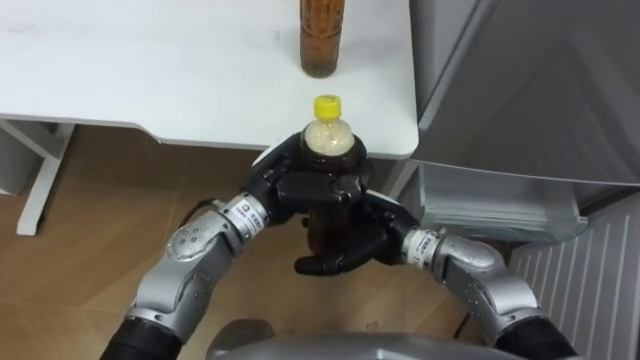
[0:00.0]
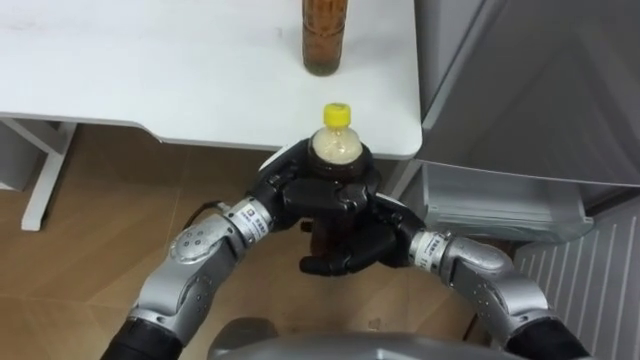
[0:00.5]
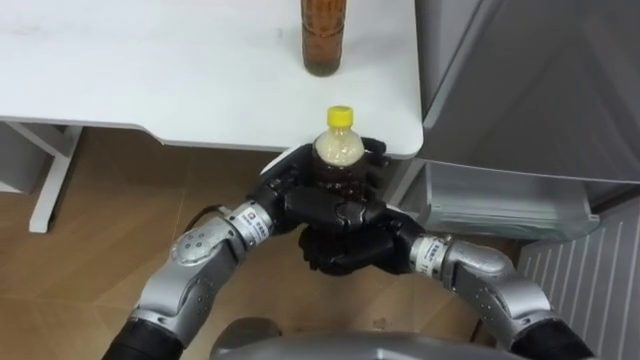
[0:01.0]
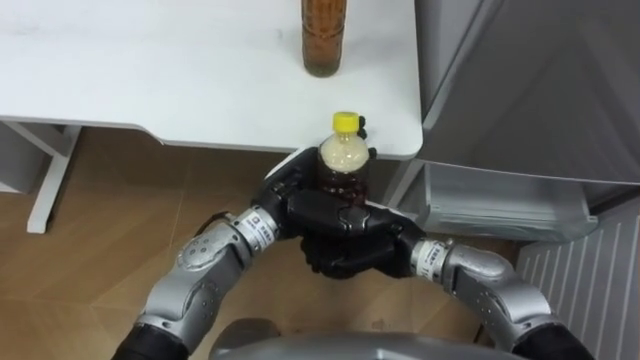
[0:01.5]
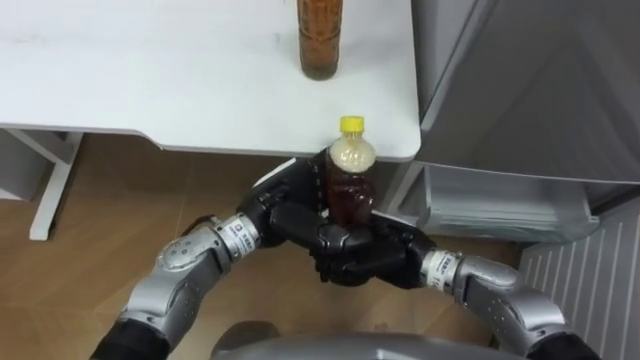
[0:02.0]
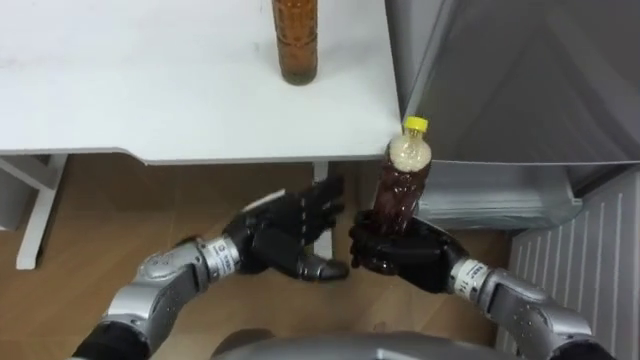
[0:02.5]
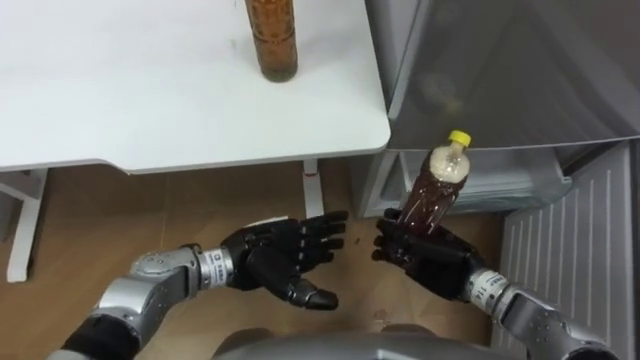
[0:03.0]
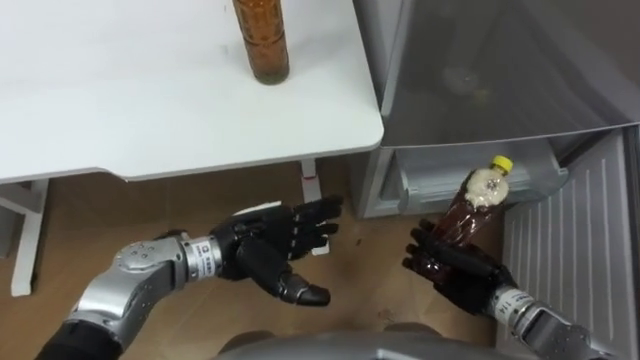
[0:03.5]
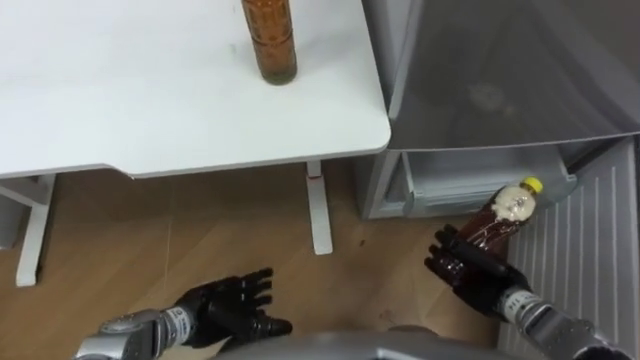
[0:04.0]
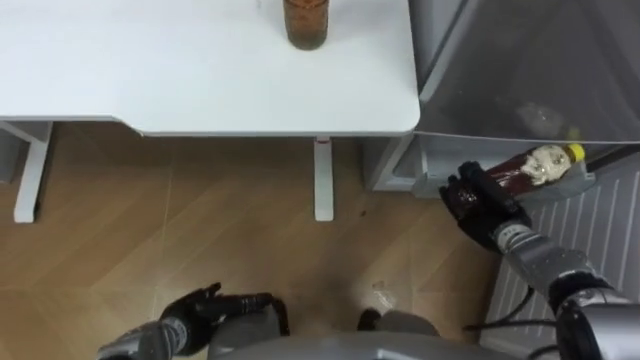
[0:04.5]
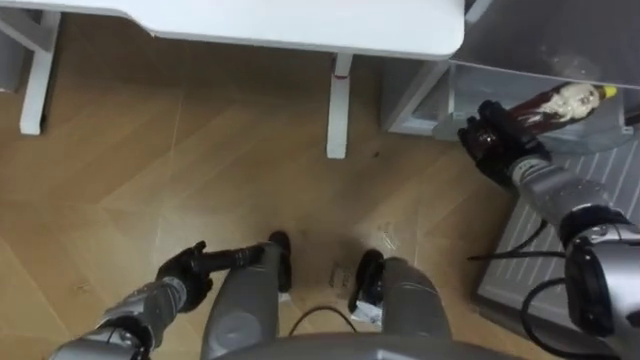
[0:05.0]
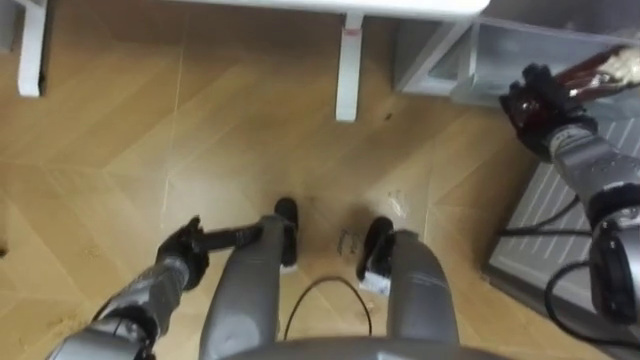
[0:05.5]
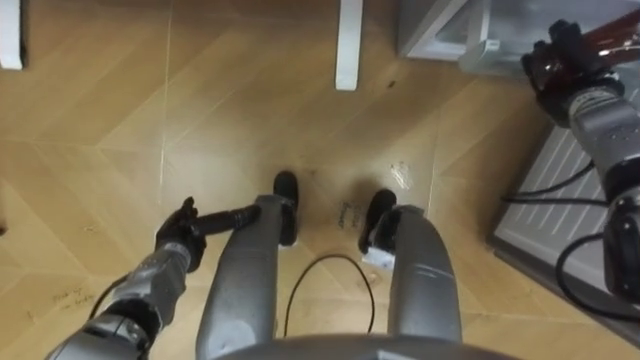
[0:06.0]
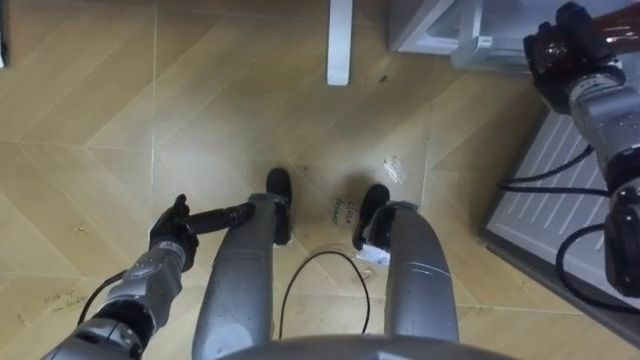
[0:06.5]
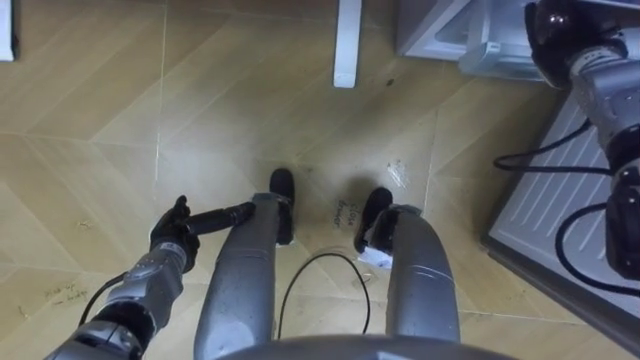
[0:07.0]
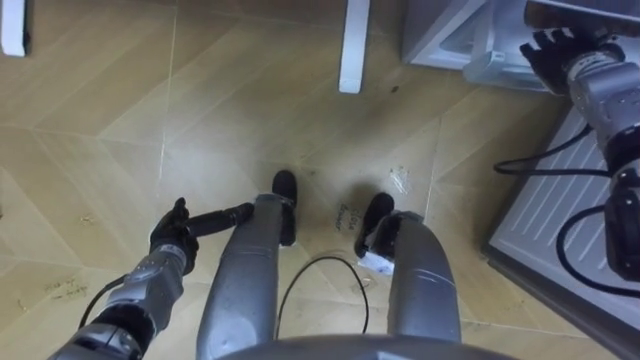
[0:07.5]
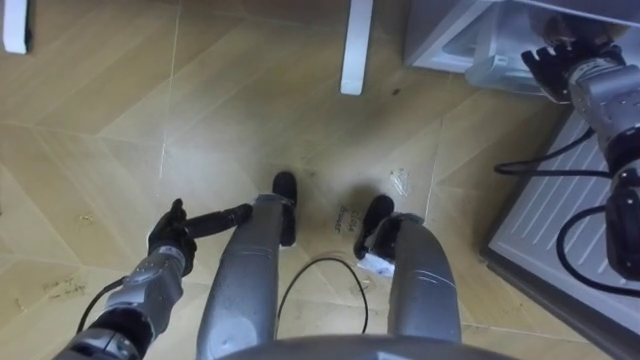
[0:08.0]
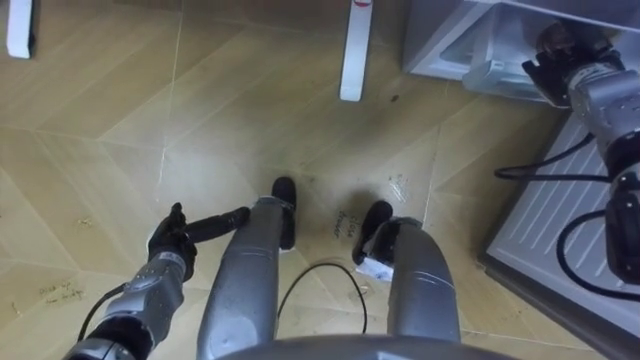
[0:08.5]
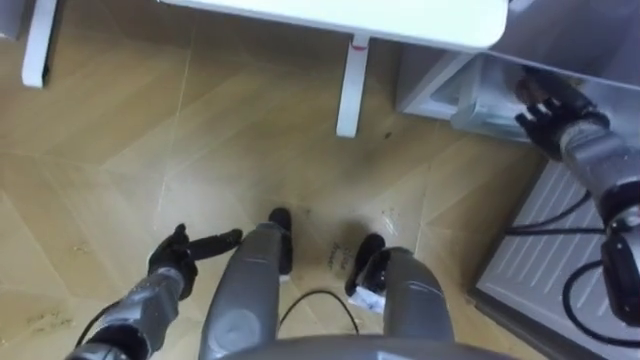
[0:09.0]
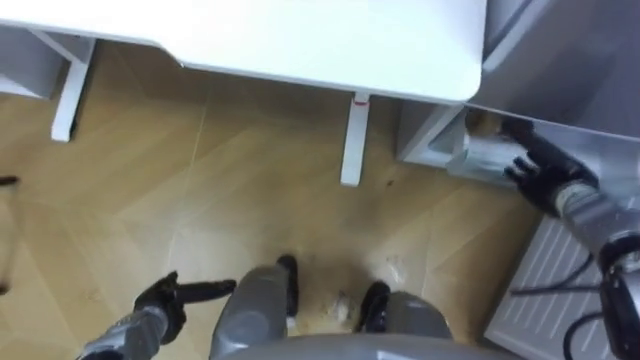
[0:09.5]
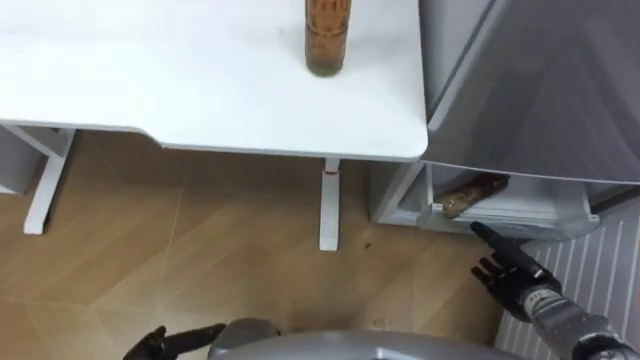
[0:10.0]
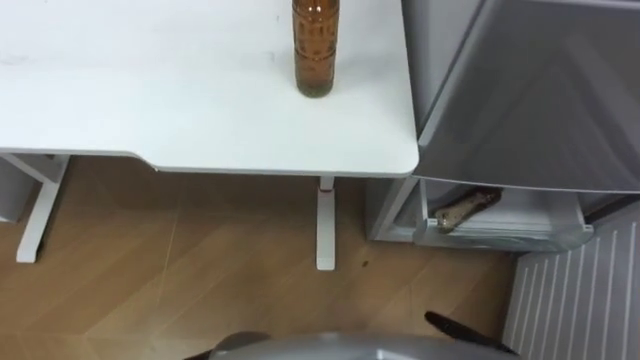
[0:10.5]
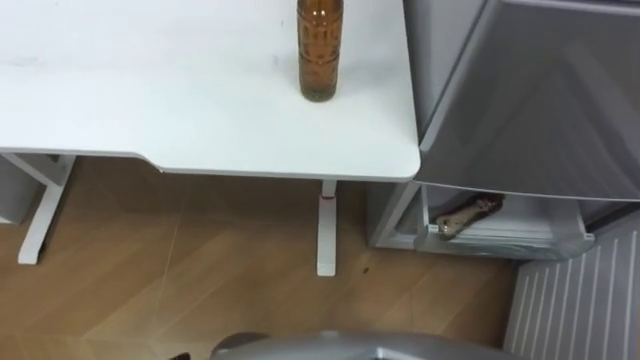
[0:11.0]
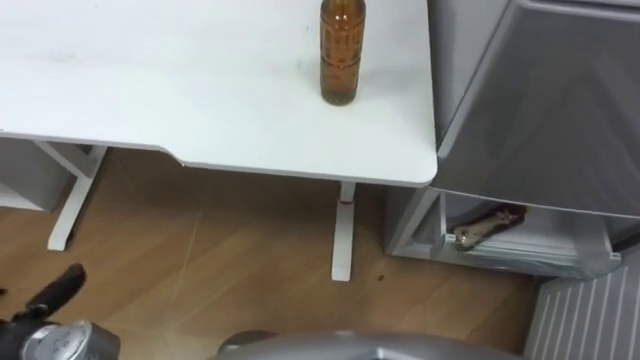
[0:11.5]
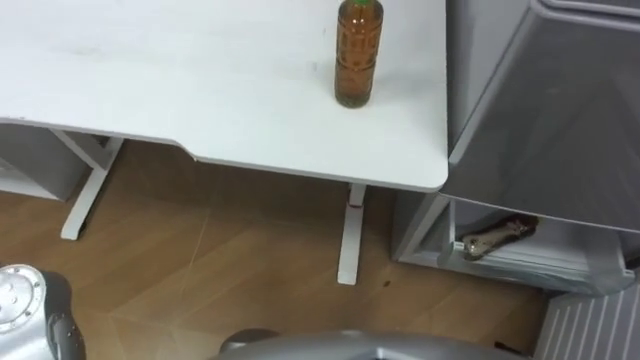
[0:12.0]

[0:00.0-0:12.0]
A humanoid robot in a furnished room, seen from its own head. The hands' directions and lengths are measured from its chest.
Task of the whole recording: Place the drink on the table on the bottom shelf of the refrigerator, then close the drawer and the refrigerator door.
0:00.0 to 0:02.0: The left hand opens up; the right hand closes its fingers.
0:02.0 to 0:04.0: The right hand is displaced to the right and downward by approximately 20 cm. Meanwhile the left hand travels downward, backward and to the left by approximately 20 cm.
0:04.0 to 0:06.0: The left hand shifts about 10 cm forward and to the left, while the right hand moves forward, upward and to the right, some 30 cm.
0:06.0 to 0:08.0: The right hand opens.
0:08.0 to 0:10.0: The right hand travels backward and downward by roughly 30 cm.

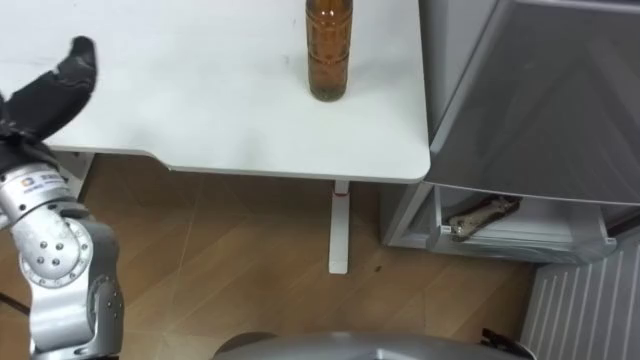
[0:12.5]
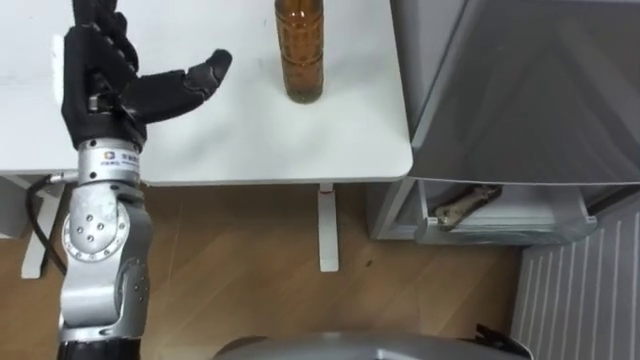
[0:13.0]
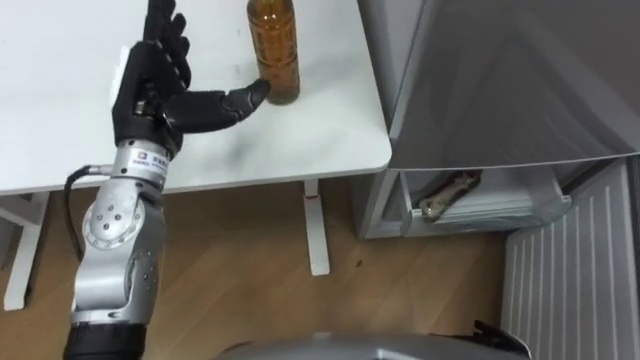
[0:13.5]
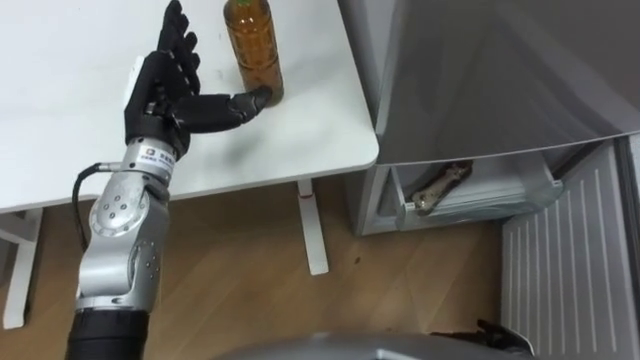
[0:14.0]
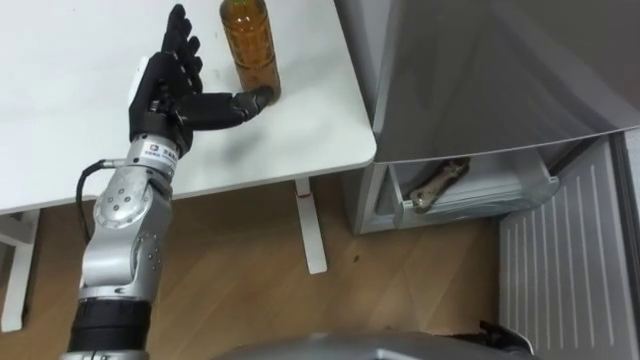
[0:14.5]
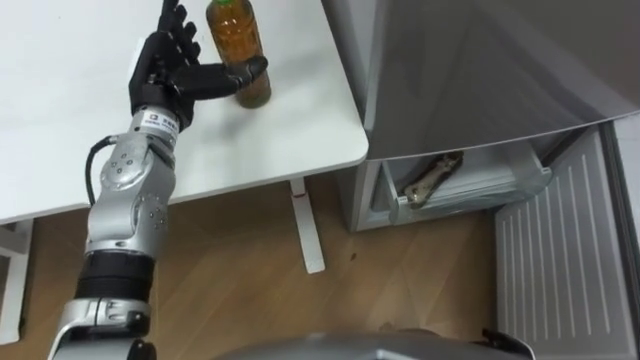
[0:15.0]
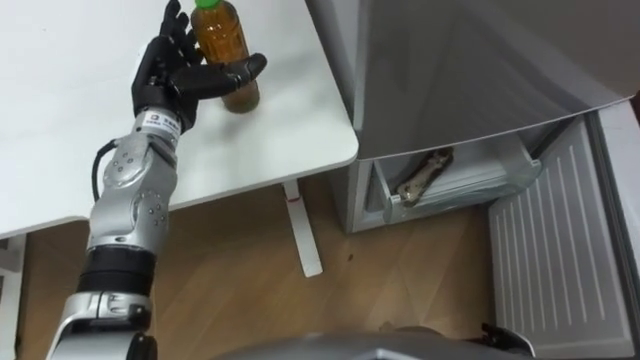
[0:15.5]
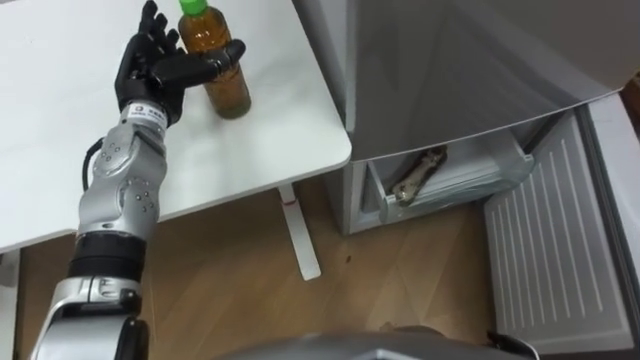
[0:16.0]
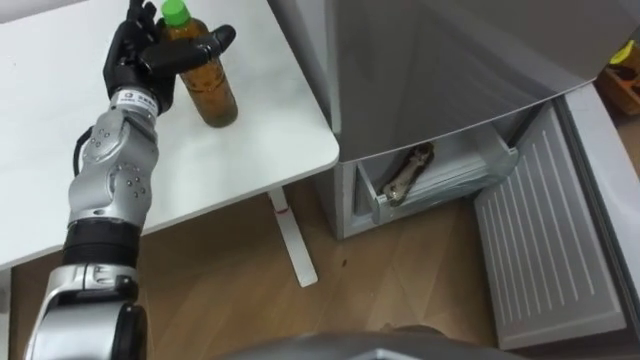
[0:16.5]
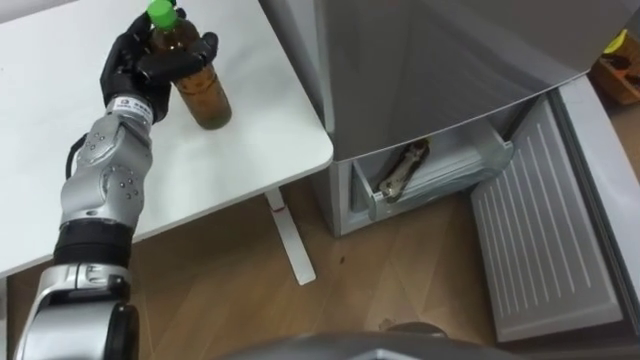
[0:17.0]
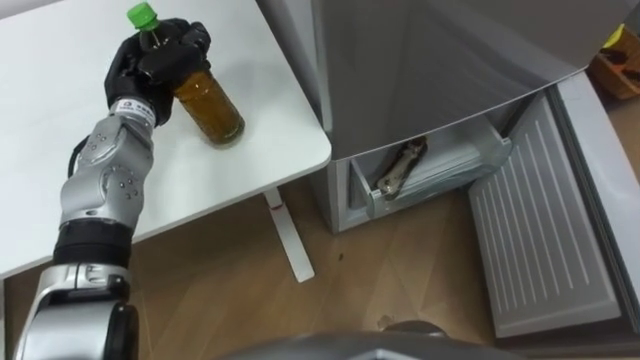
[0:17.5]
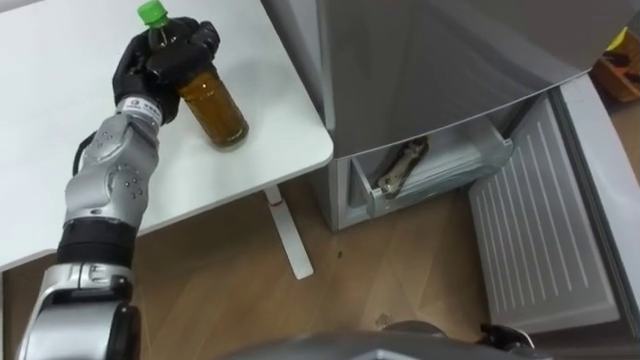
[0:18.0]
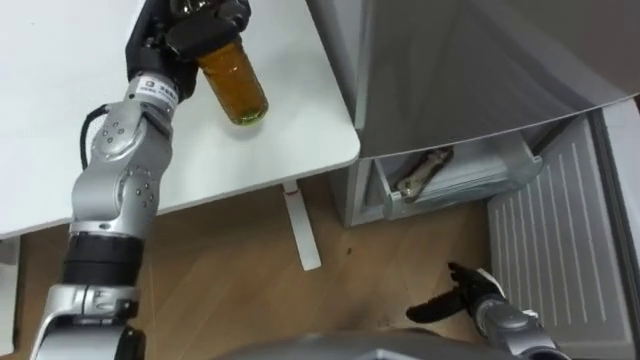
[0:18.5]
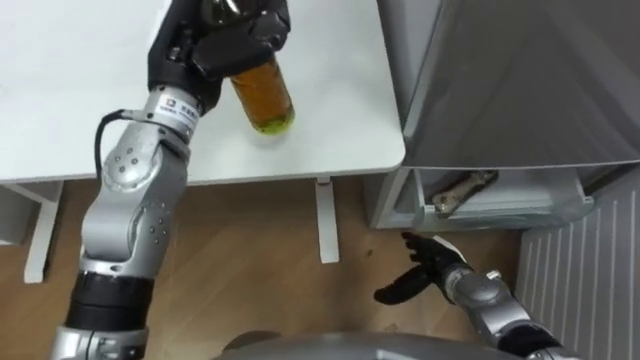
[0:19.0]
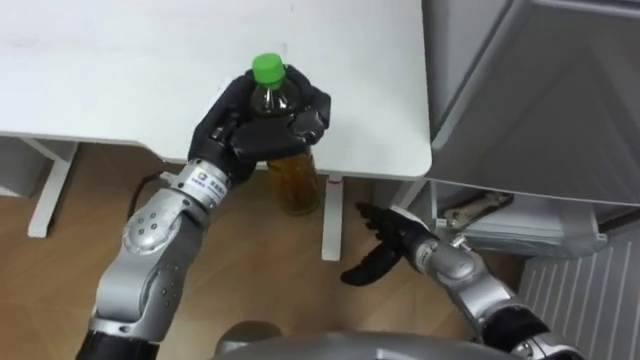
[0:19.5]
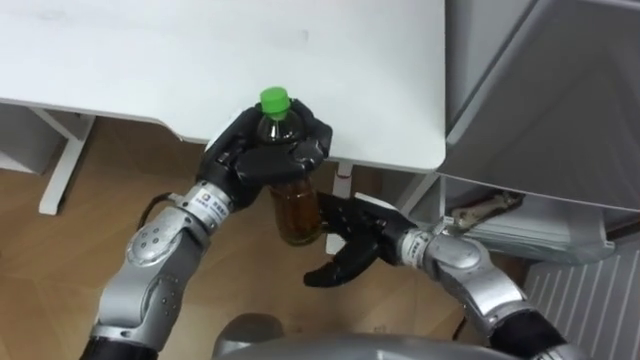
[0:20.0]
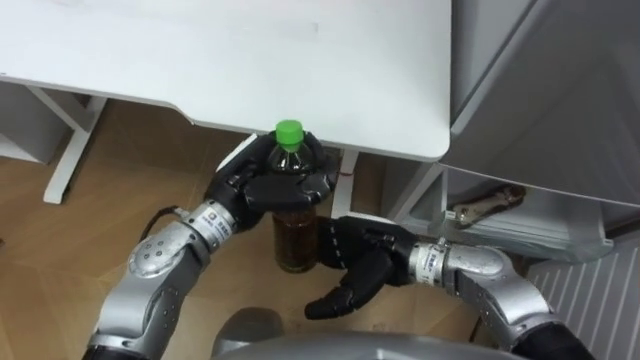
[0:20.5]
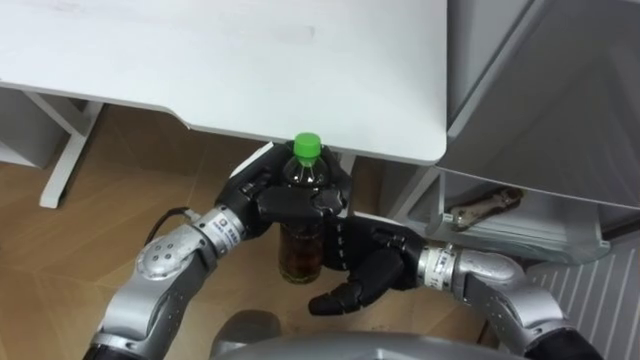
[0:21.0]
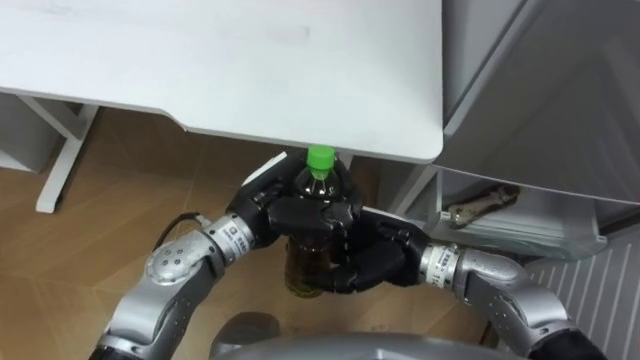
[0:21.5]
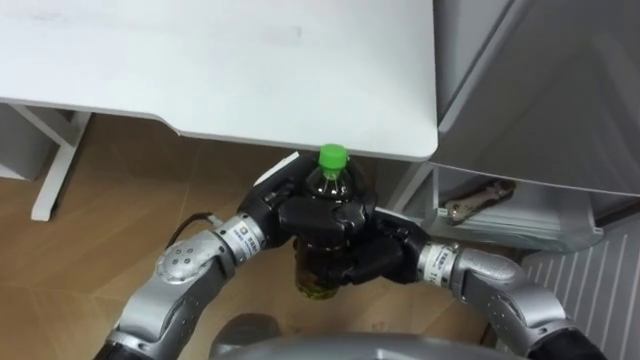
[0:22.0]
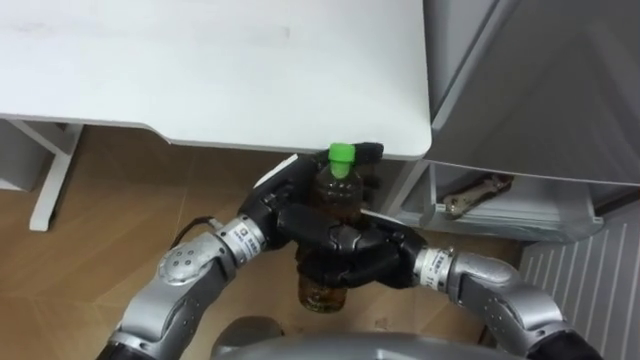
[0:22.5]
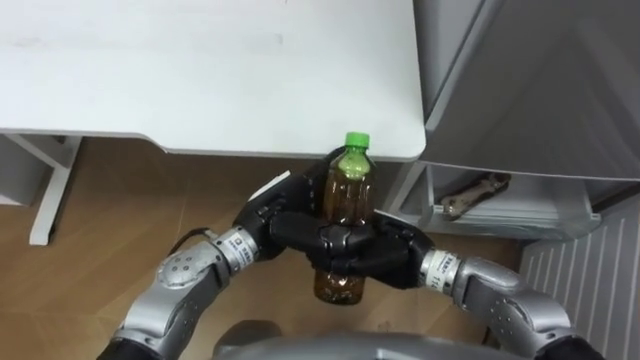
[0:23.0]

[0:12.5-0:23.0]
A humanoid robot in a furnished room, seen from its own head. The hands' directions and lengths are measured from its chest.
Task of the whole recording: Place the drink on the table on the bottom shelf of the refrigerator, then close the drawer and the refrigerator door.
0:14.5 to 0:16.5: The left hand goes approximately 5 cm forward.
0:16.5 to 0:19.0: The left hand goes approximately 10 cm to the right and upward, and closes.
0:19.0 to 0:21.0: The left hand heads downward, backward and to the right, covering about 15 cm; the right hand is displaced upward and to the left by some 15 cm.
0:21.0 to 0:23.0: The right hand closes its fingers. Meanwhile the left hand opens its fingers.
